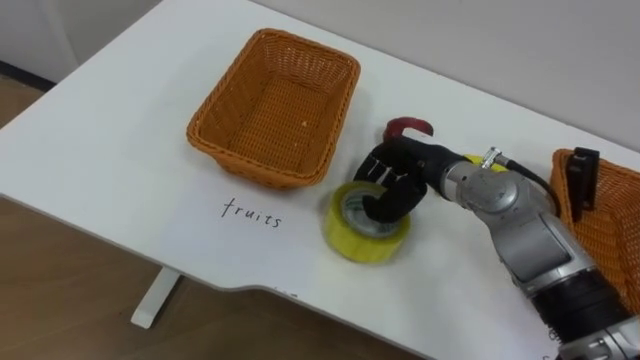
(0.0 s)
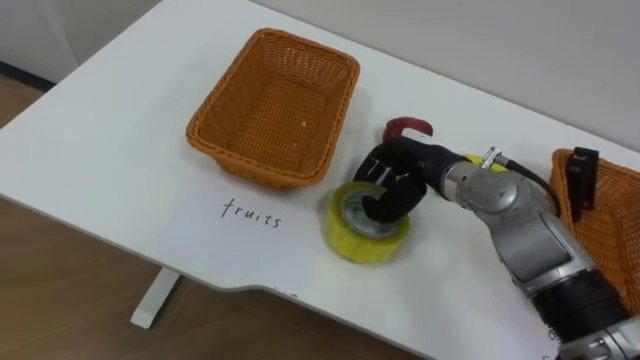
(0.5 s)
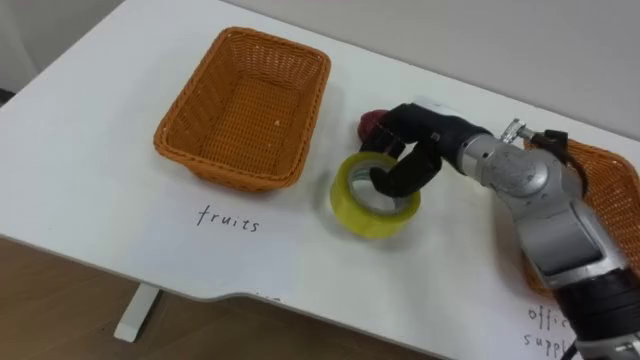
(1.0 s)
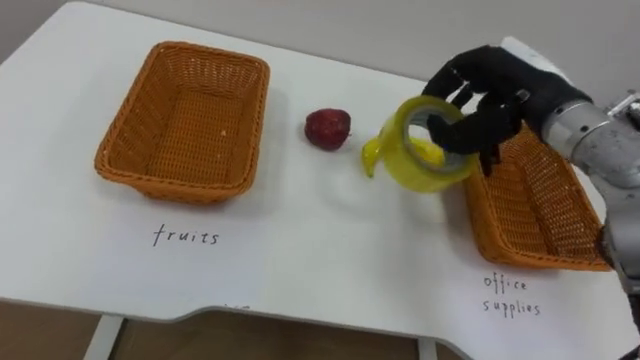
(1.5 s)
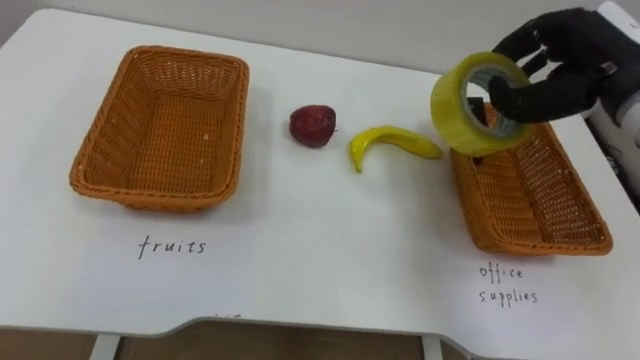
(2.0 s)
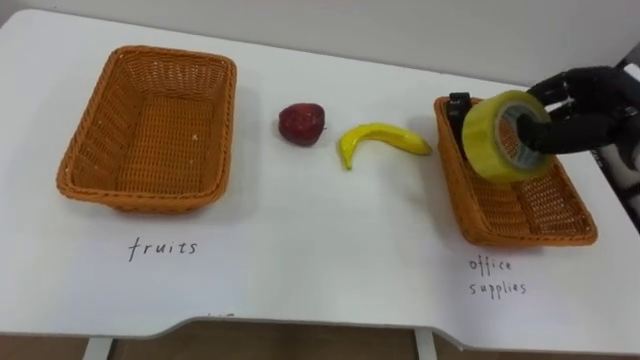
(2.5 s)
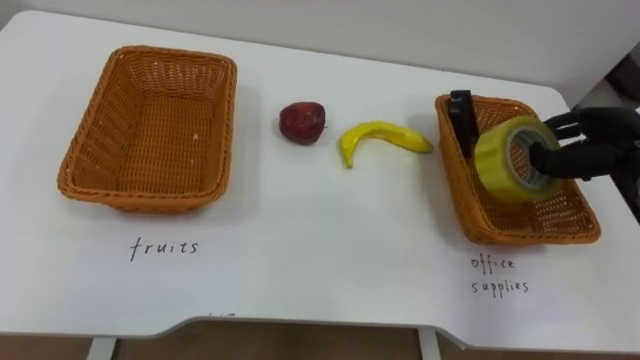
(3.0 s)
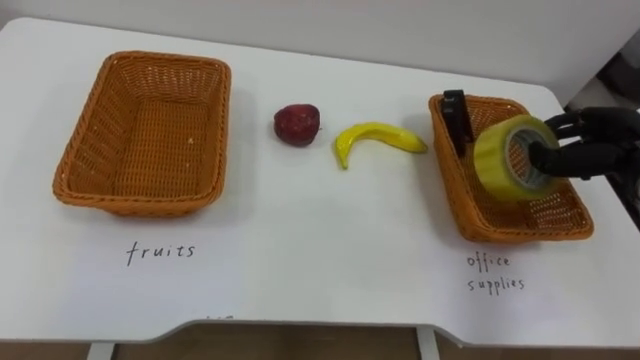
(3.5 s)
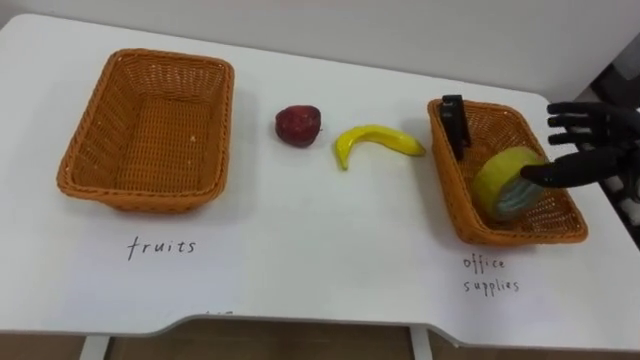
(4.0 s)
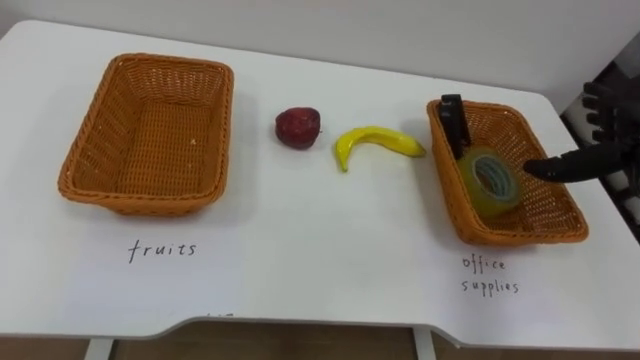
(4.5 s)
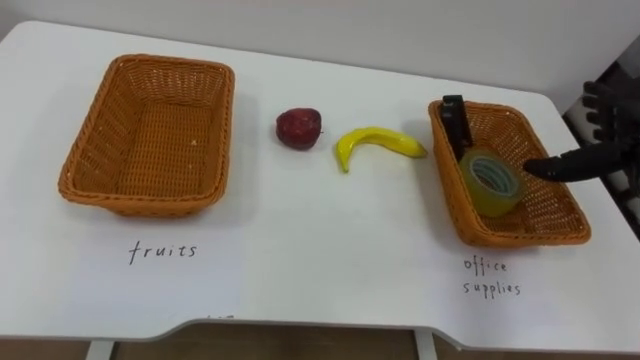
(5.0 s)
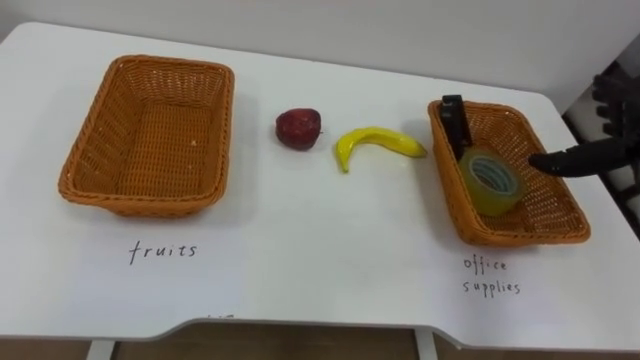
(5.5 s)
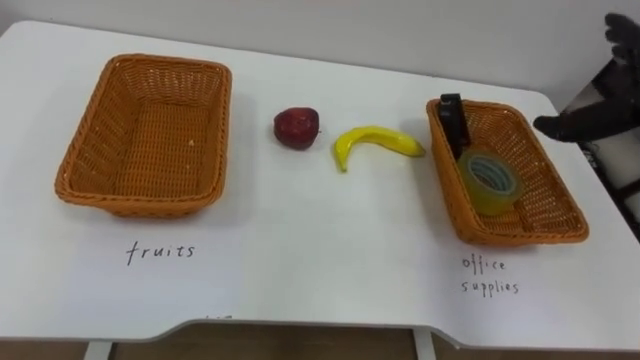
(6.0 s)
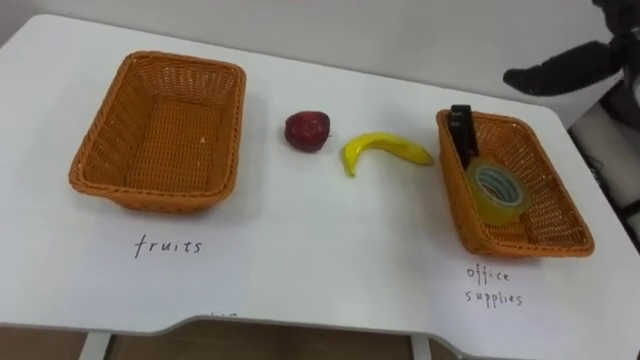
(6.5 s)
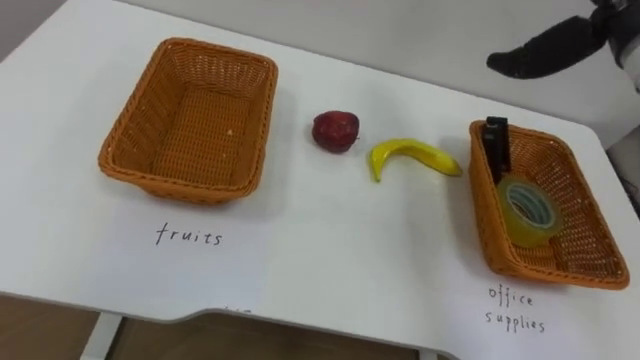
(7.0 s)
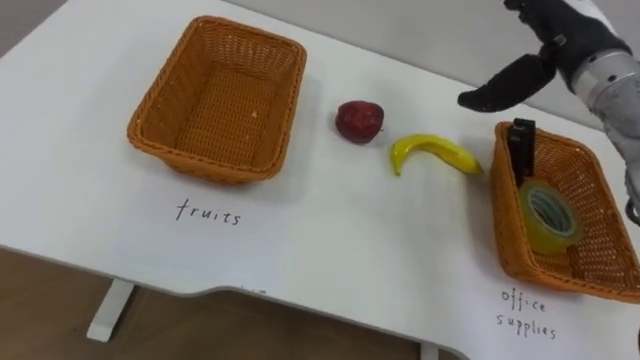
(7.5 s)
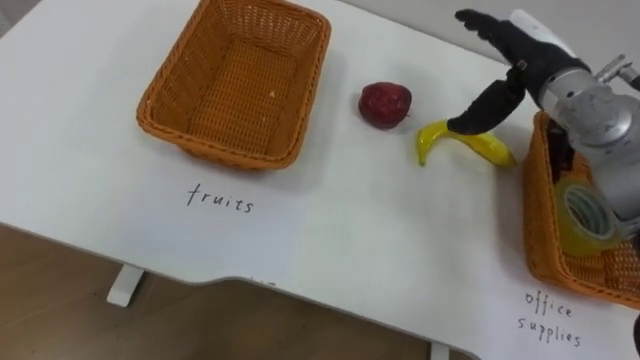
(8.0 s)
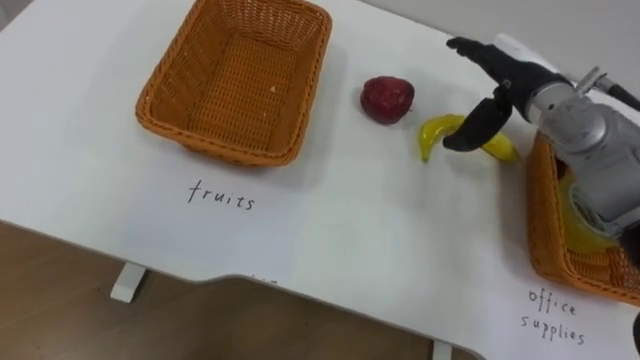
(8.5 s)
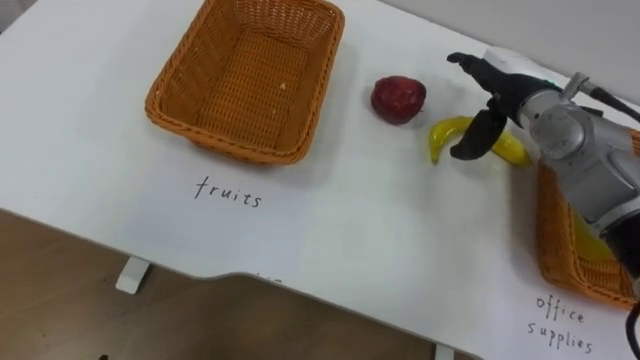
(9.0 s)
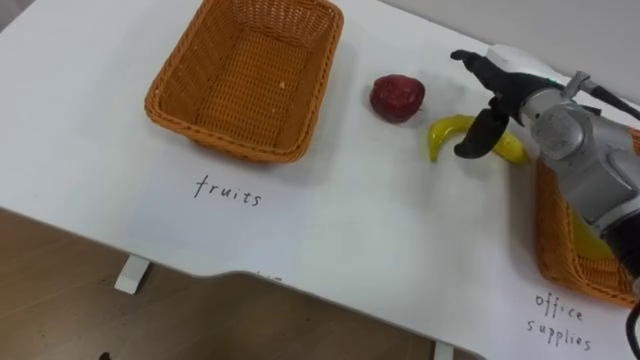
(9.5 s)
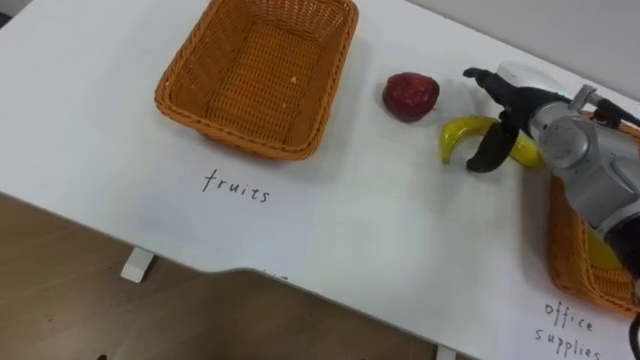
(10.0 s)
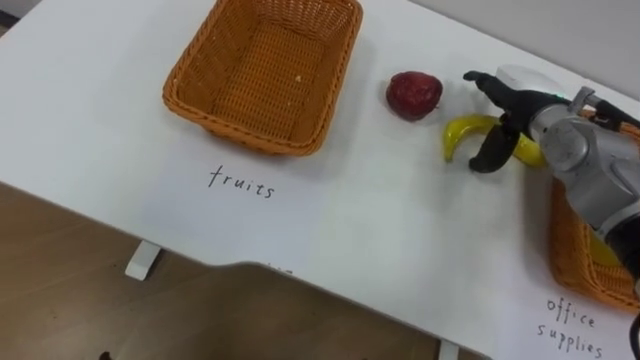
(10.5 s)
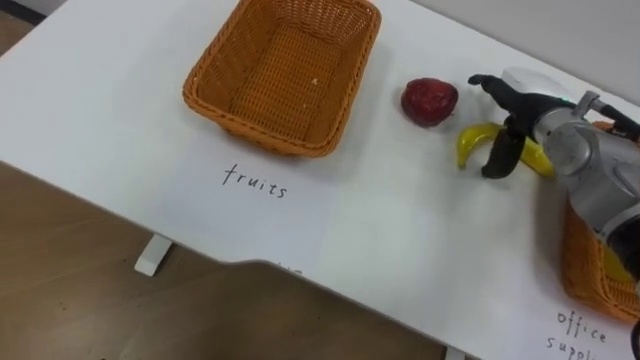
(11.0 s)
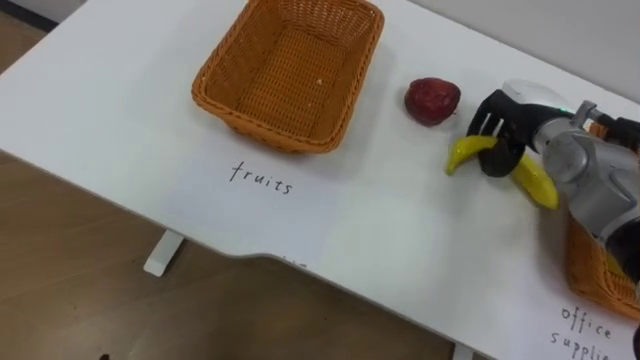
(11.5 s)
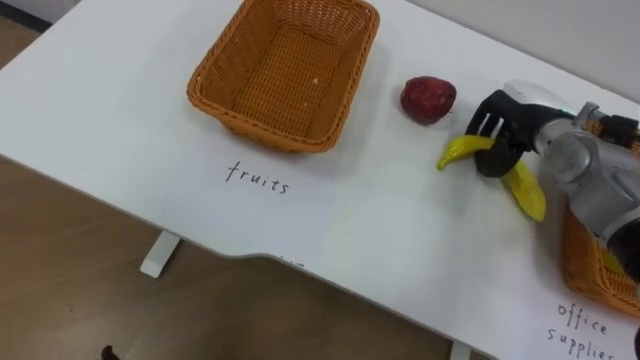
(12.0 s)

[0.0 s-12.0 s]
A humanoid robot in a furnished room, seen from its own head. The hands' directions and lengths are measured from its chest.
Task of the whole recording: Separate the items on the table and place them into the two baskets.
0.0 to 2.0 s: The right hand travels to the right and upward by about 20 cm.
2.0 to 4.0 s: The right hand moves downward and to the right, about 15 cm, and opens up.
8.0 to 10.0 s: The right hand is displaced downward by some 5 cm.
10.0 to 12.0 s: The right hand closes up.

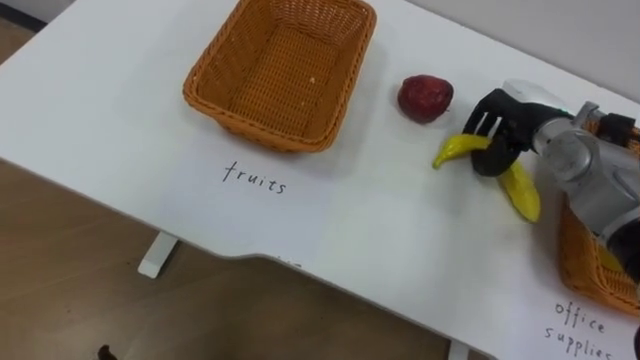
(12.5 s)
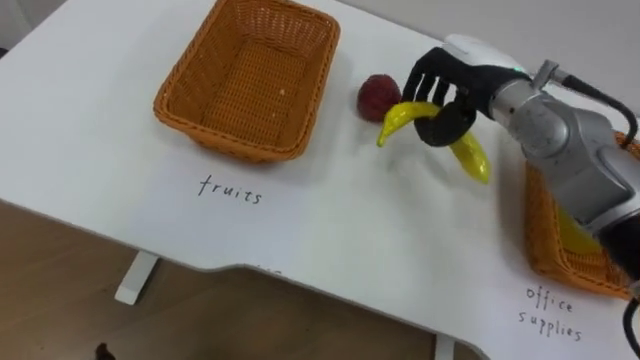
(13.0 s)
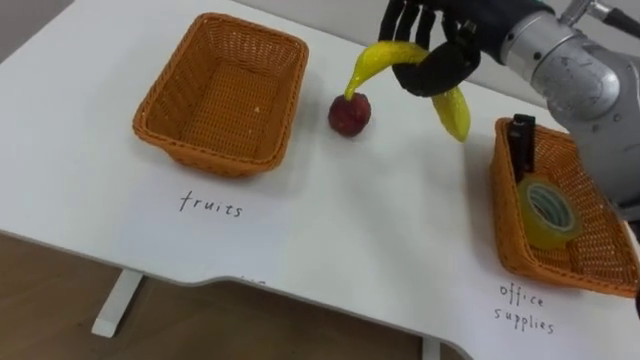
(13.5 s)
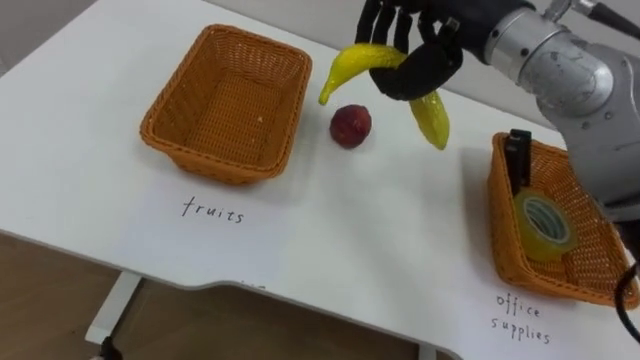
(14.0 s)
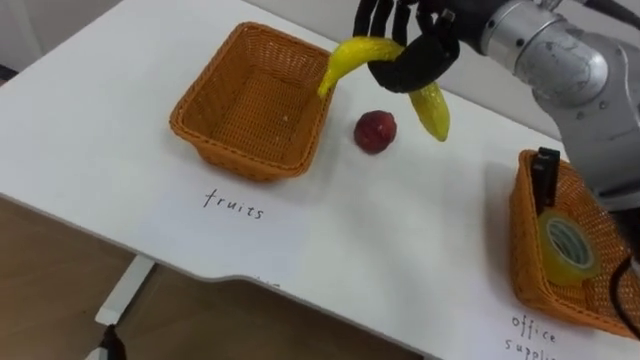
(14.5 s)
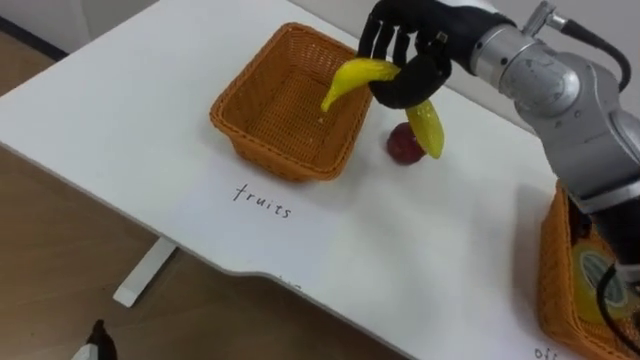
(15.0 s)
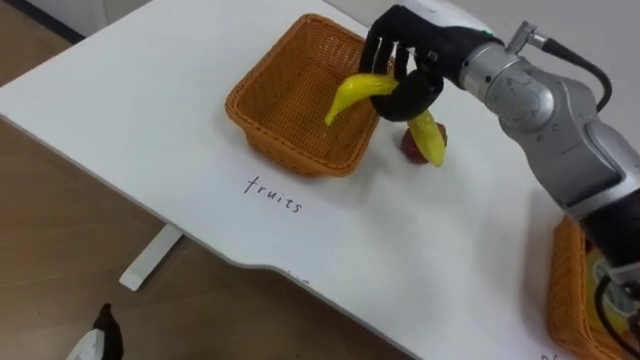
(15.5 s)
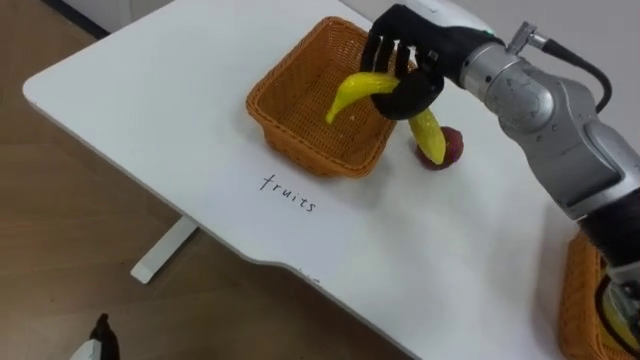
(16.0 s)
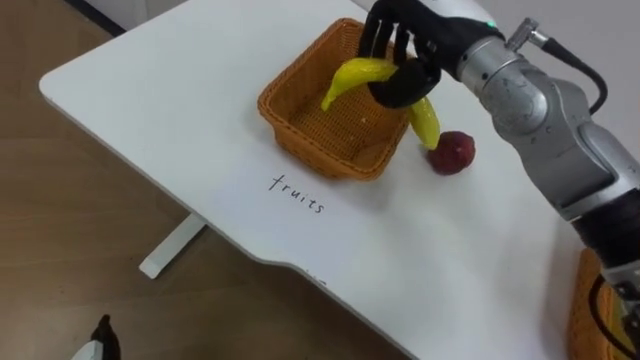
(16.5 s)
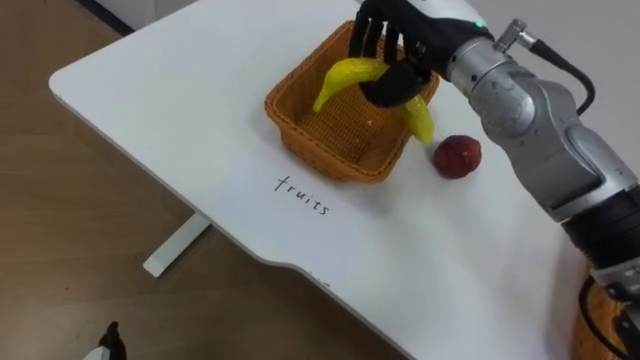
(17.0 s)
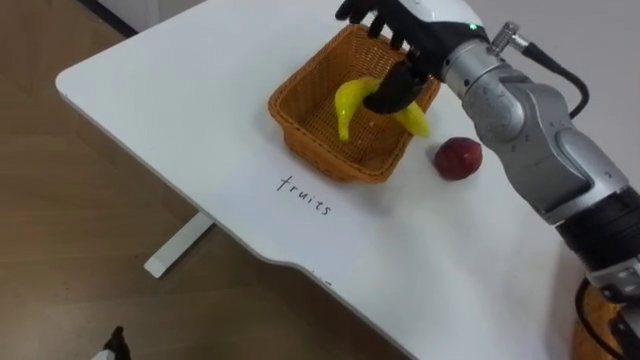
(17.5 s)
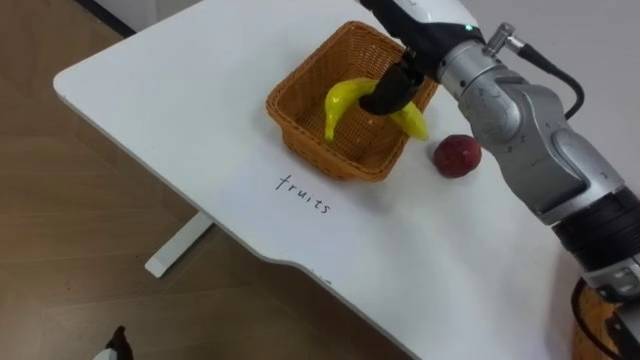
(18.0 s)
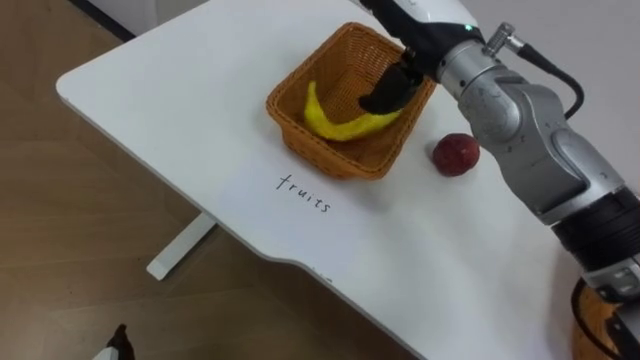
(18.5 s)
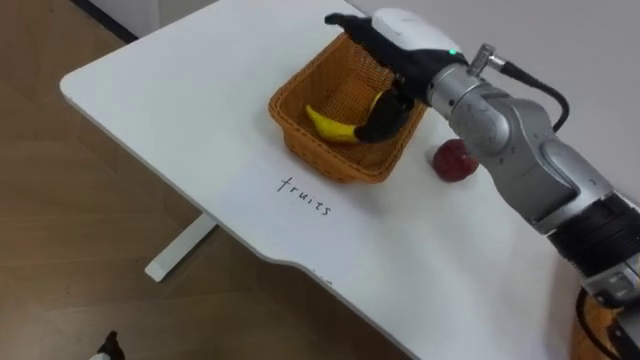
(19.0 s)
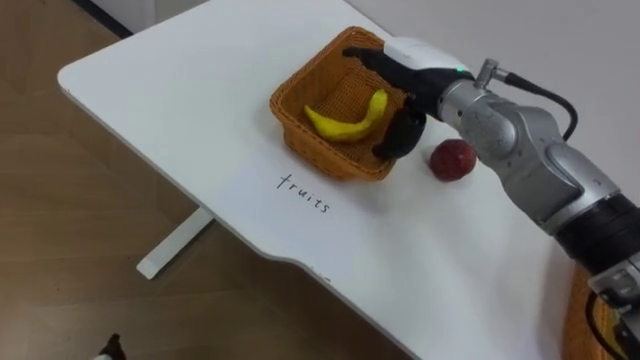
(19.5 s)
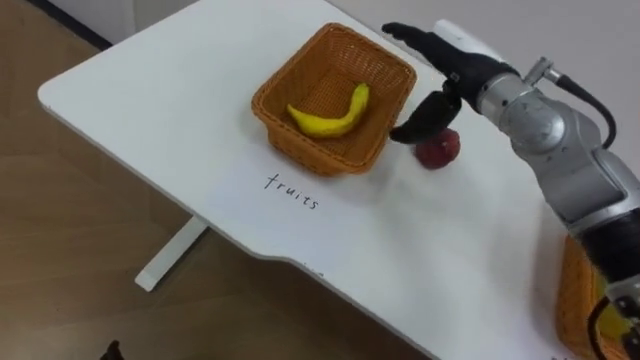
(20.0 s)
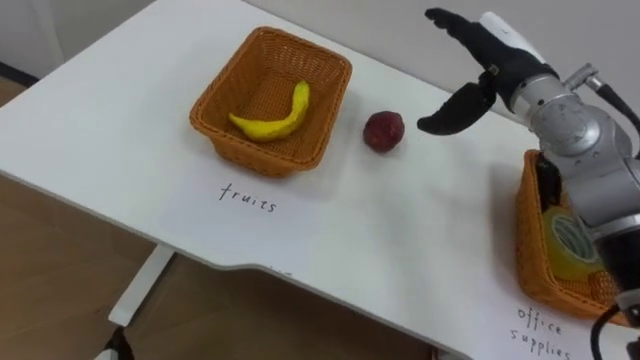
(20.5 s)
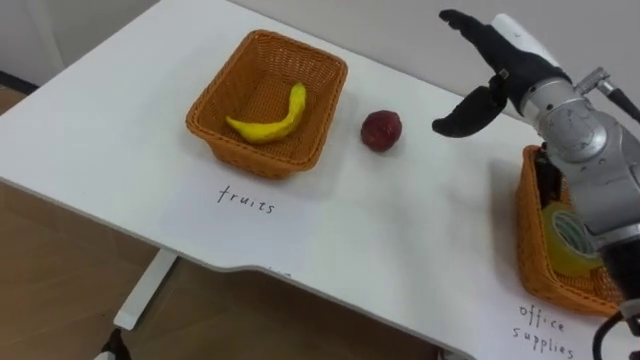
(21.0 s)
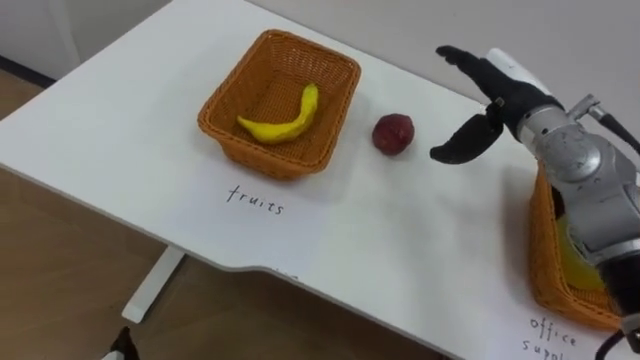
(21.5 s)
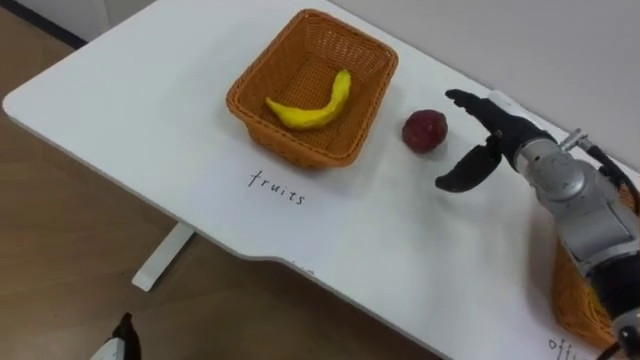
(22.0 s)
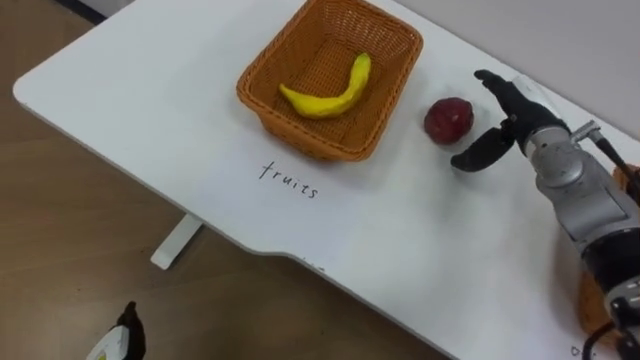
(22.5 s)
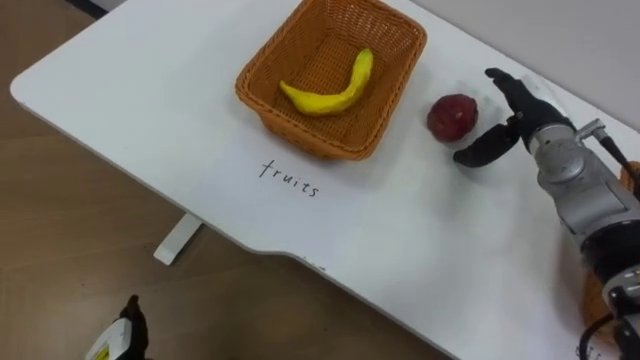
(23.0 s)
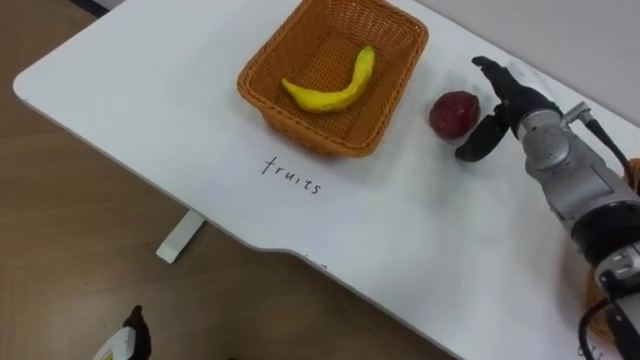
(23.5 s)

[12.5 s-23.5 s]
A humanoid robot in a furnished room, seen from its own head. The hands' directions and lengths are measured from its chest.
Task of the whole recording: Separate the items on the table and place them into the two baskets.
16.0 to 18.0 s: The right hand opens.
18.0 to 20.0 s: The right hand moves to the right and downward, some 10 cm.
20.0 to 21.5 s: The right hand is displaced to the right by some 5 cm.
21.5 to 23.5 s: The right hand changes place by approximately 5 cm.
